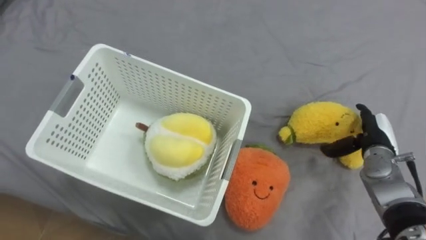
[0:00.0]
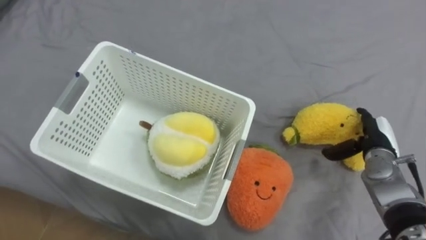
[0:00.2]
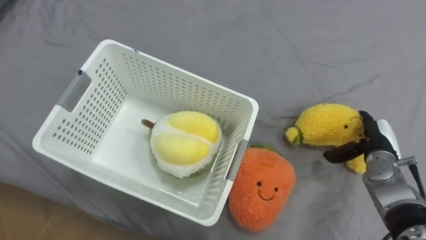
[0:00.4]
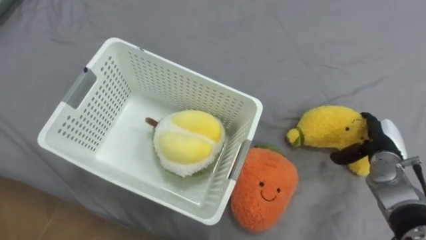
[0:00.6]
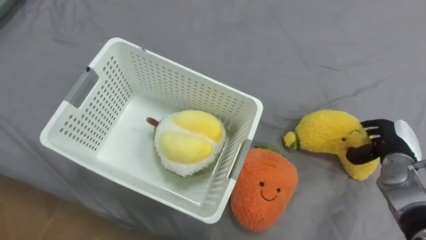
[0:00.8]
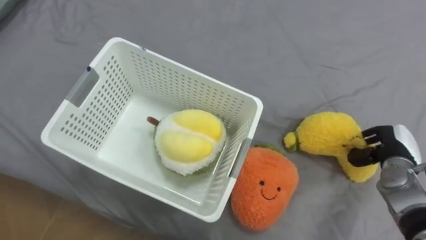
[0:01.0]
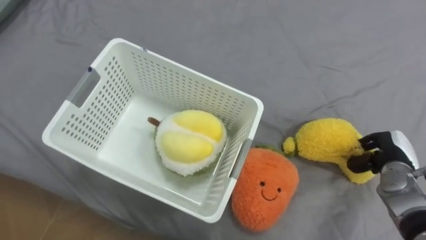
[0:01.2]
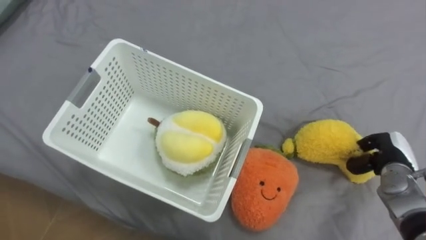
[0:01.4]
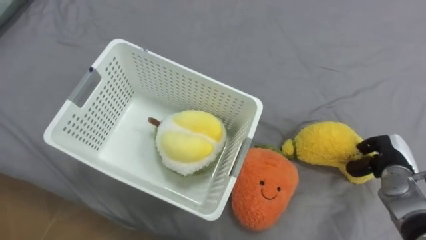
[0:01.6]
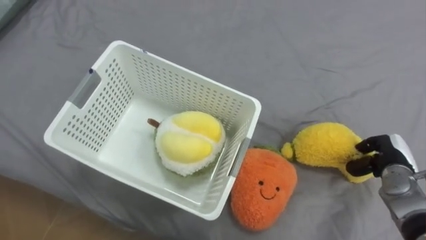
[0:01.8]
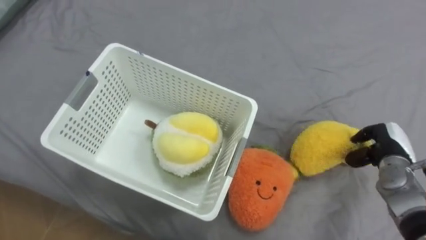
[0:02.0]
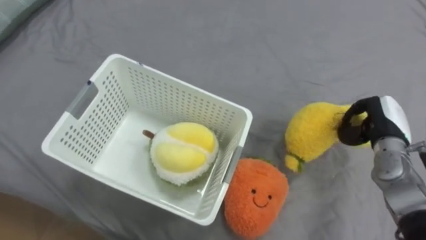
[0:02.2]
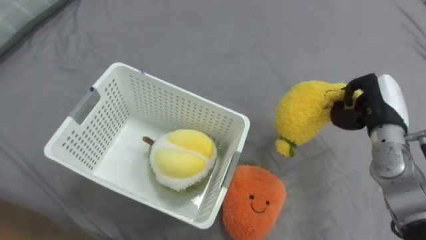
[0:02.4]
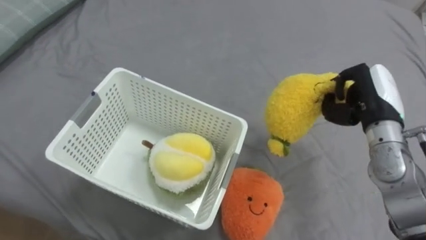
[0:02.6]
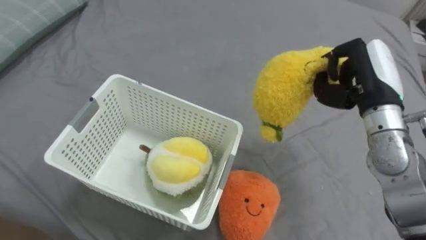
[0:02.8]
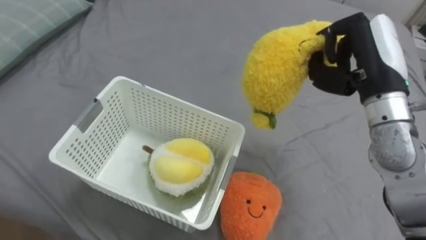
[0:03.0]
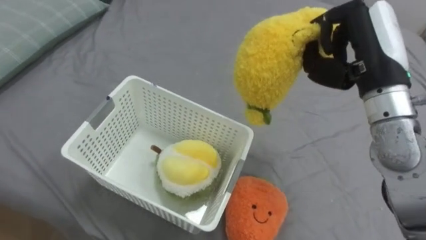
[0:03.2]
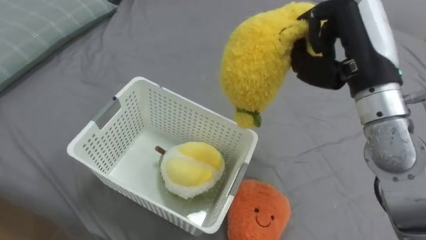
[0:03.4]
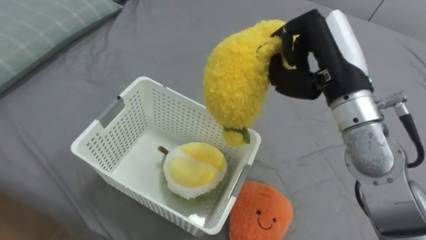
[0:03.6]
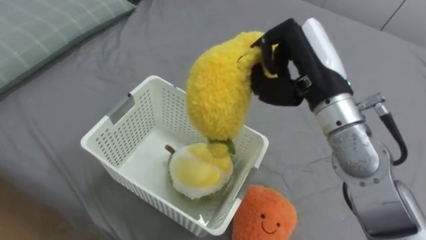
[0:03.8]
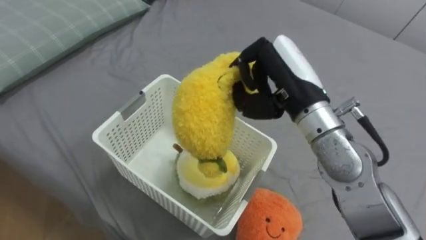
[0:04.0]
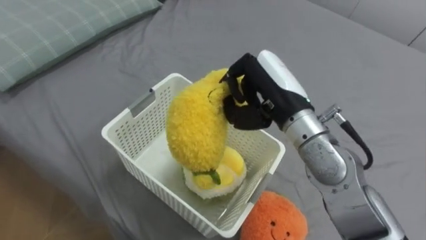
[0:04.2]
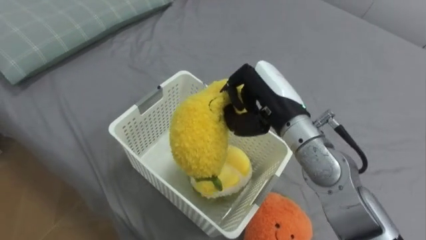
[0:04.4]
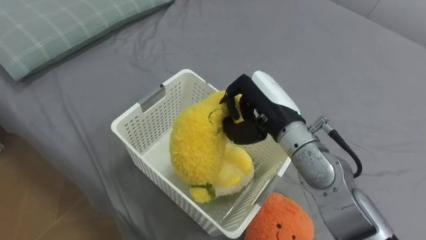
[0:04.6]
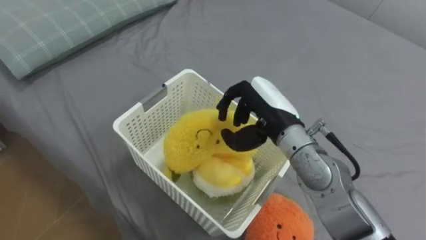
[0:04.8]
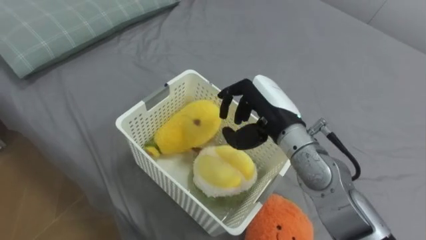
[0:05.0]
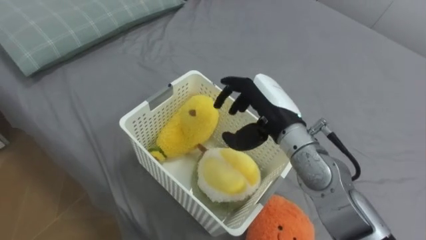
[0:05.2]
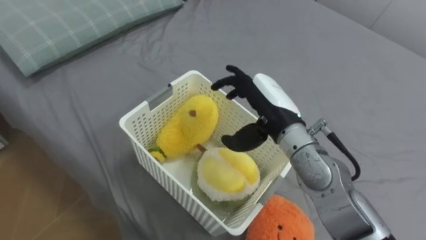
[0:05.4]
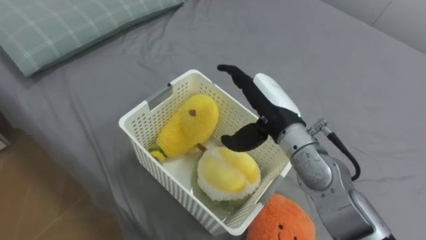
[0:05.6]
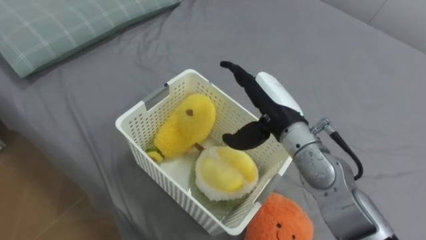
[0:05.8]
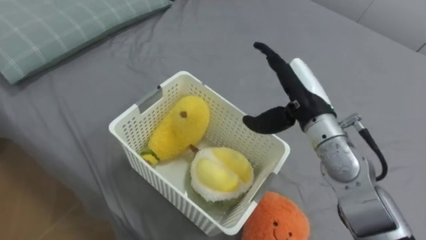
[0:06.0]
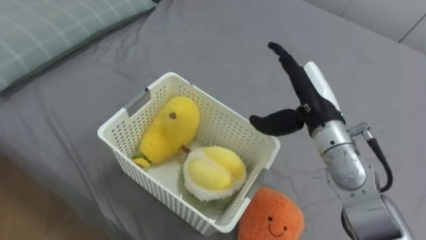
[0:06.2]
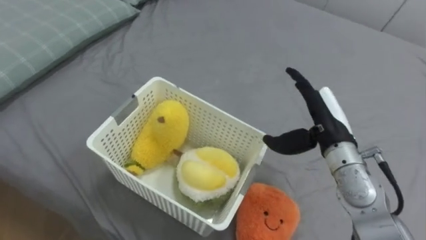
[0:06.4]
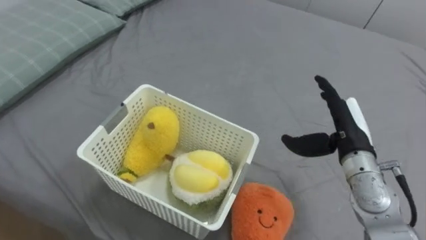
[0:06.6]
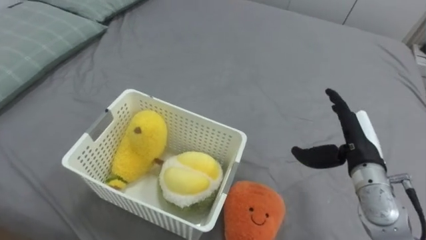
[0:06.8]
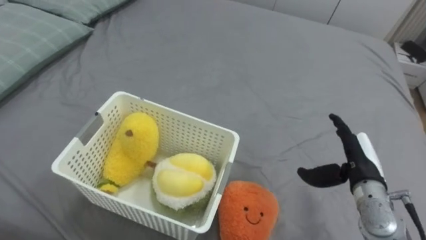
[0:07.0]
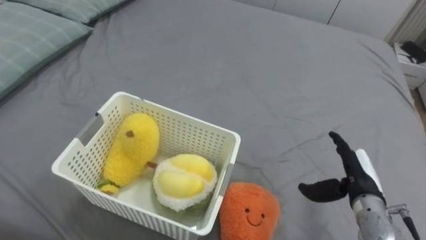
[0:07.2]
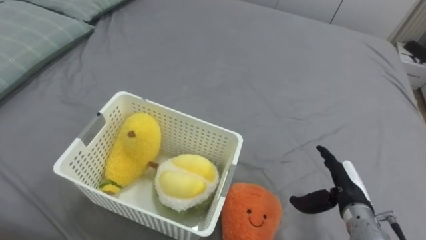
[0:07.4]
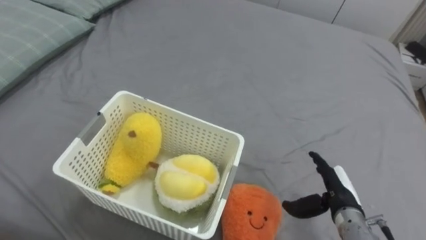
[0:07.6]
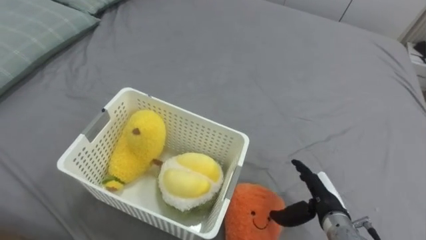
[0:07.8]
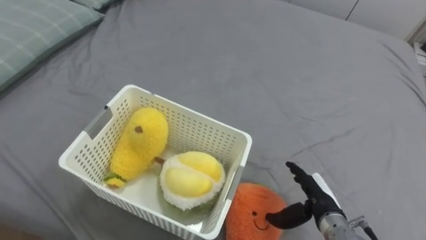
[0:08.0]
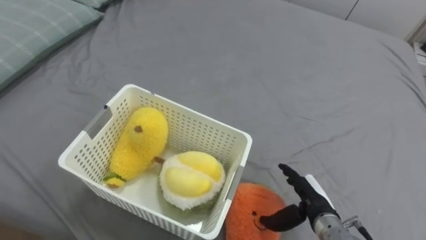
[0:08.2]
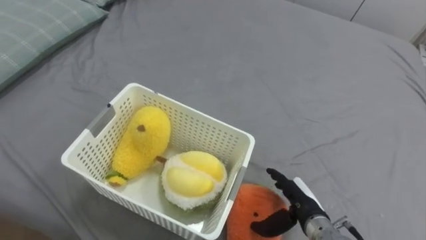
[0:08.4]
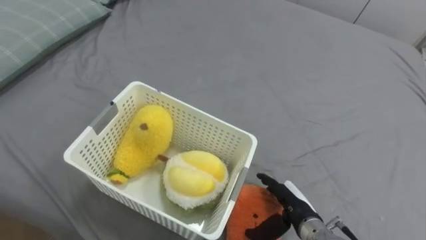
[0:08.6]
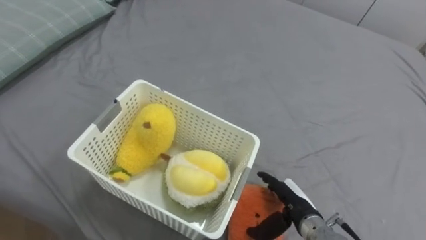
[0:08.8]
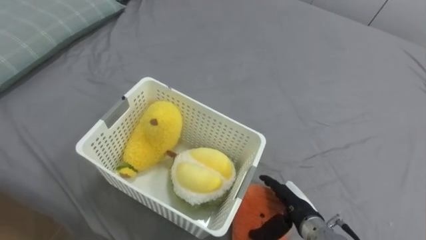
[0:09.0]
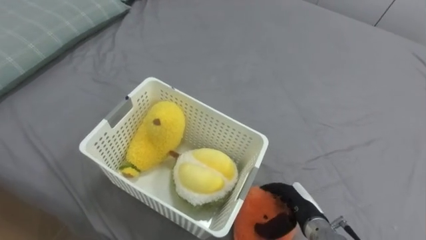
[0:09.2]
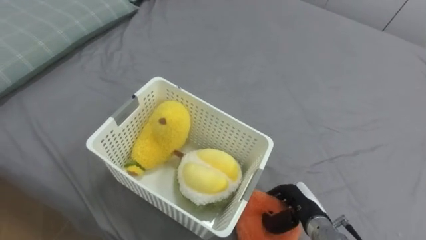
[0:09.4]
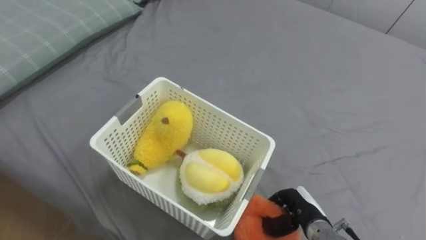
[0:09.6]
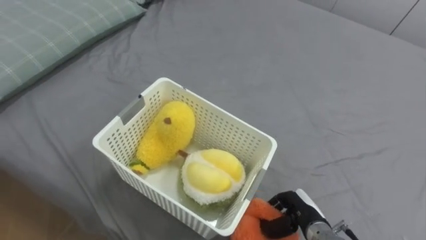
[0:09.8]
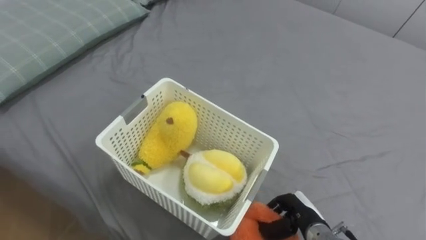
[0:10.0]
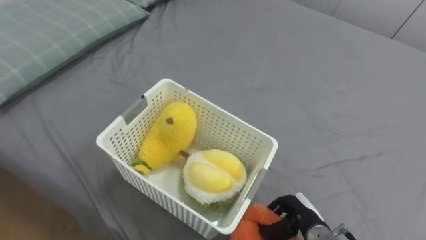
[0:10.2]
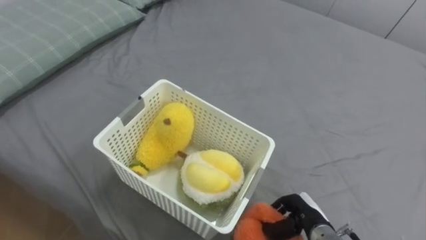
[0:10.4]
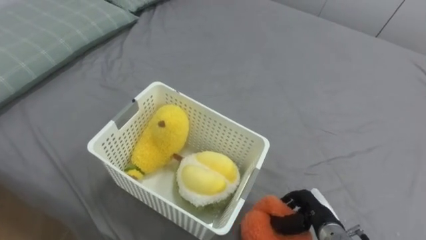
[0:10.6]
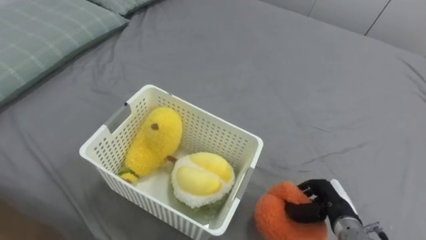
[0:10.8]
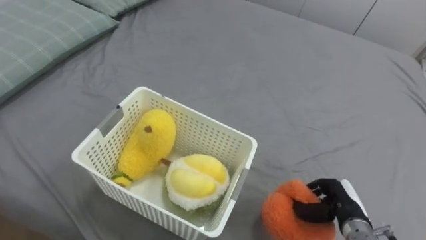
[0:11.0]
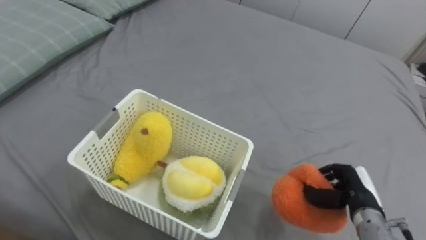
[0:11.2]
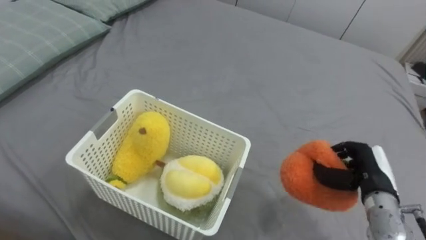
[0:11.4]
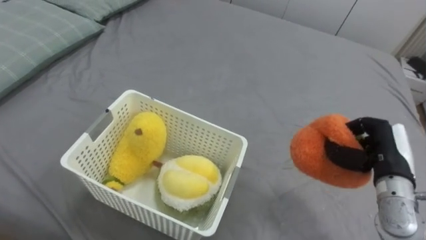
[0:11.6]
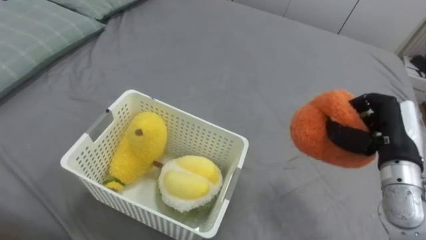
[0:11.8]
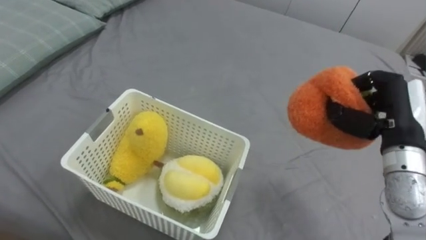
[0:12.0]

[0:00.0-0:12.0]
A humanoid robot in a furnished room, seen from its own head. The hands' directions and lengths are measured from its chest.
Task of the whole recording: Put the toys on the bed into the basket on the left.
0:00.0 to 0:01.6: The right hand moves about 5 cm, and closes up.
0:01.6 to 0:03.0: The right hand moves upward and to the left, approximately 25 cm.
0:03.0 to 0:04.4: The right hand moves to the left, some 15 cm.
0:04.4 to 0:06.0: The right hand opens its fingers.
0:06.0 to 0:07.6: The right hand is displaced downward, to the right and backward by about 25 cm.
0:07.6 to 0:09.0: The right hand moves to the left, roughly 10 cm.
0:09.0 to 0:10.4: The right hand closes its fingers.
0:10.4 to 0:12.0: The right hand goes roughly 25 cm upward and to the right.

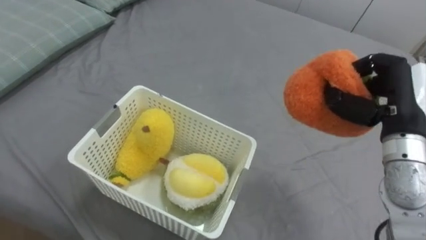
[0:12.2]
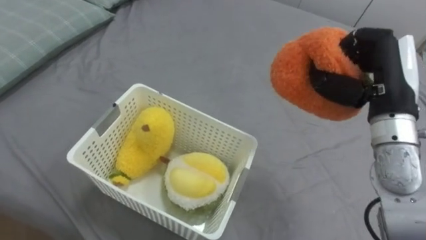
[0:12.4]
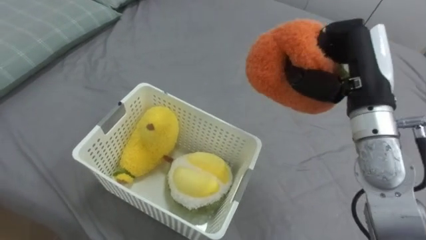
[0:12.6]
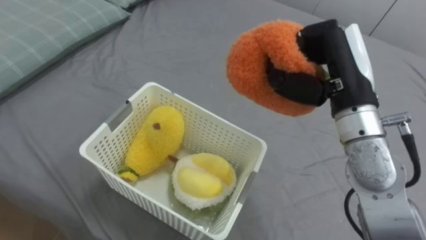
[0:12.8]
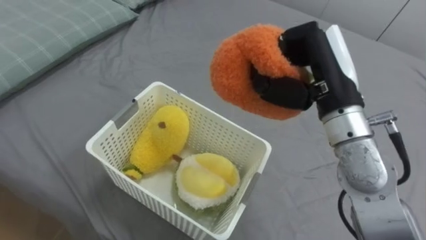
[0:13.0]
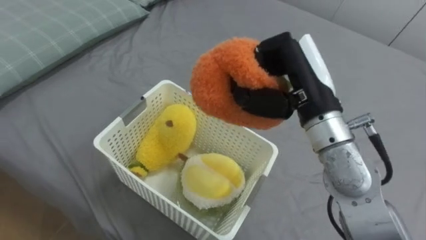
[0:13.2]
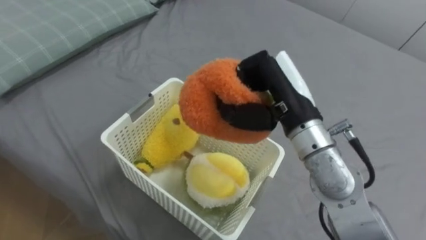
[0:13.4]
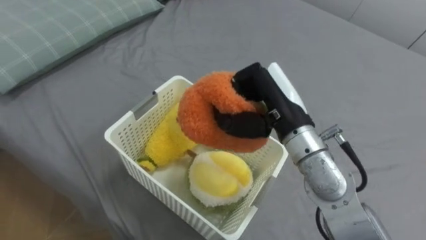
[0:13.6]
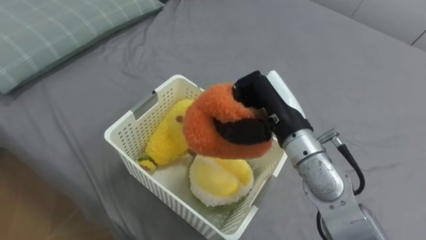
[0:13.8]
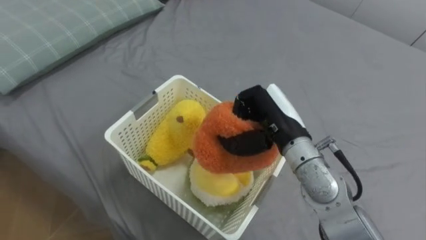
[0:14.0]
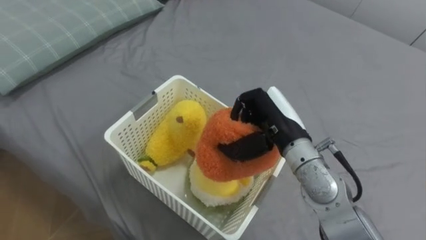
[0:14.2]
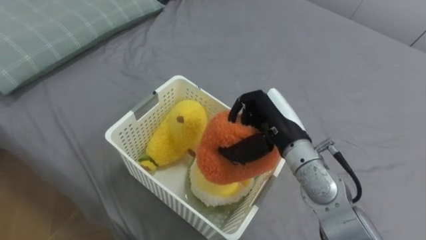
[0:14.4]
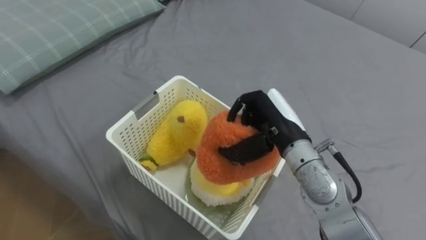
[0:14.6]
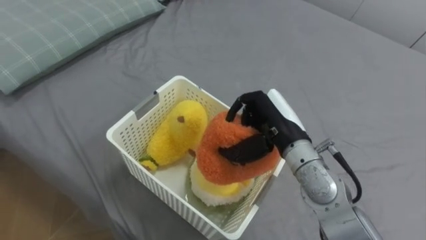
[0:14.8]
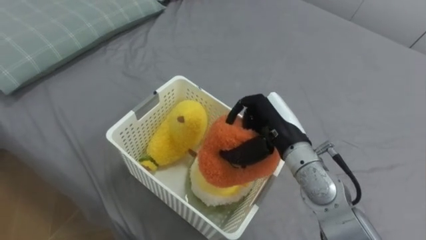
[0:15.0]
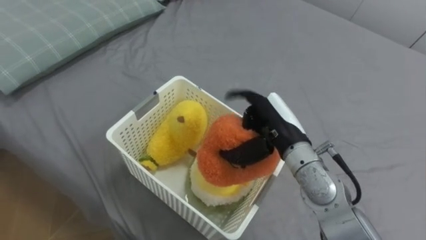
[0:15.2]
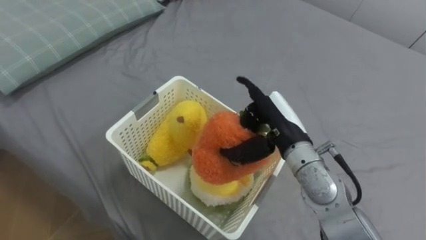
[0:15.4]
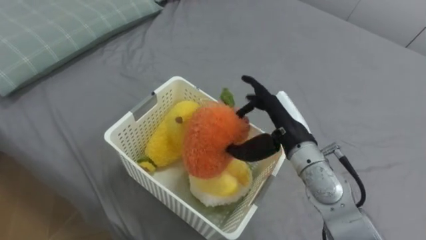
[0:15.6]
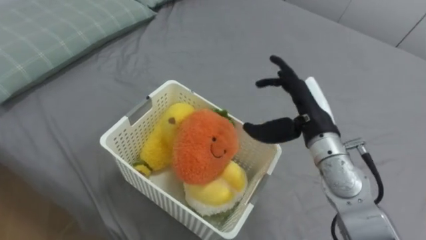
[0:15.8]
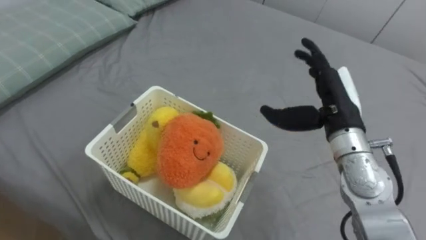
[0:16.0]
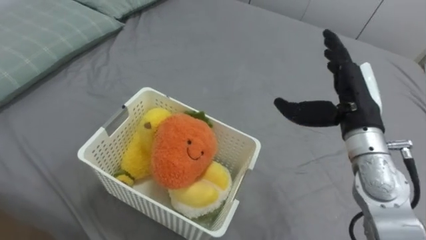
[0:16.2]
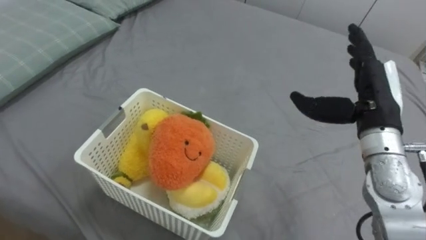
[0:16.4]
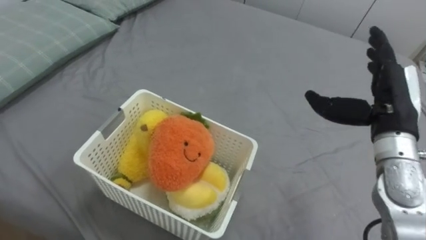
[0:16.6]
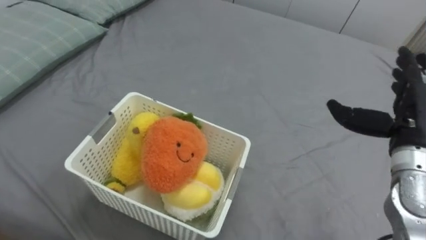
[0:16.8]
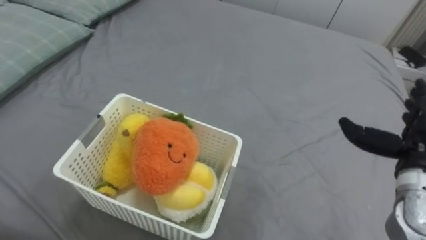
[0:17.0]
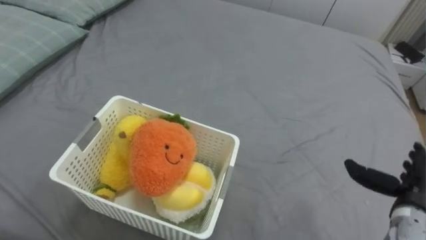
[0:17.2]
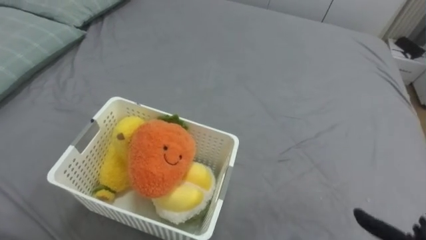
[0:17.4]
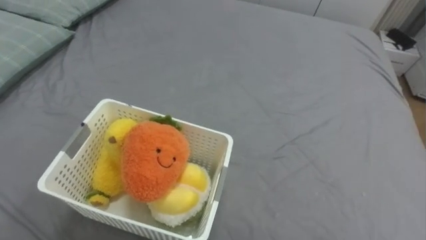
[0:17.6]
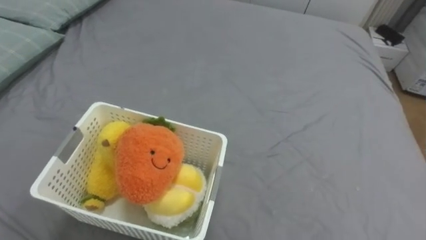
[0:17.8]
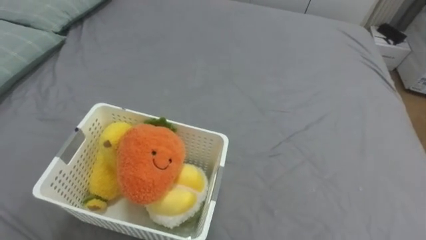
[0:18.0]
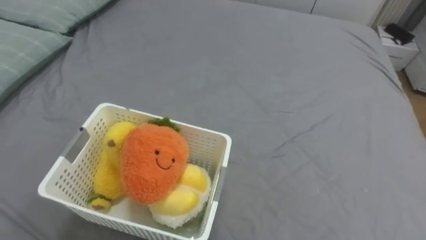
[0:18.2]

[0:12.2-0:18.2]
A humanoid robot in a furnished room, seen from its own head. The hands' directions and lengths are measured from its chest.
Task of the whole recording: Put the toys on the bed into the basket on the left.
0:12.2 to 0:13.8: The right hand moves to the left, roughly 20 cm.
0:13.8 to 0:15.2: The right hand goes approximately 5 cm downward, and opens.
0:15.2 to 0:16.6: The right hand heads to the right and upward, covering about 15 cm.
